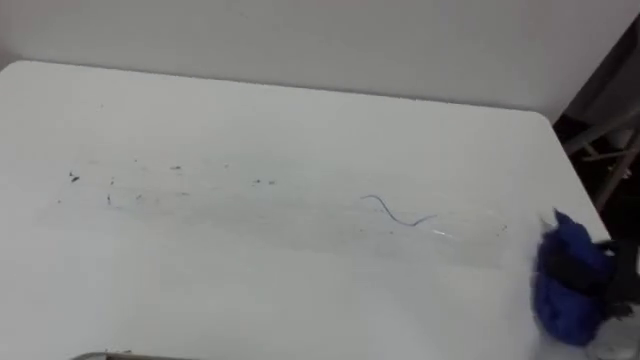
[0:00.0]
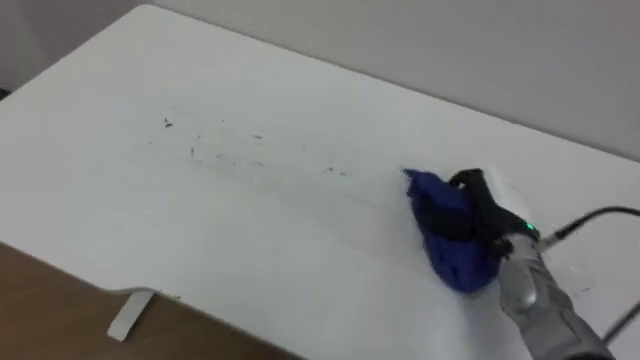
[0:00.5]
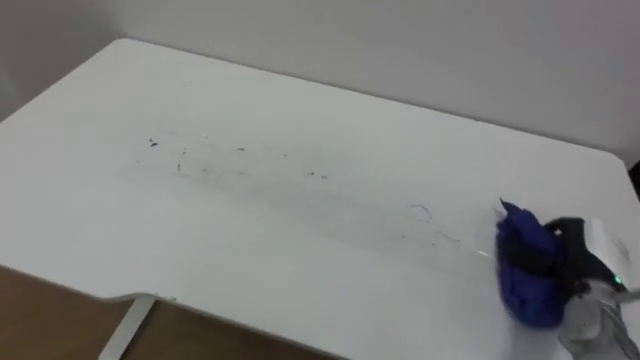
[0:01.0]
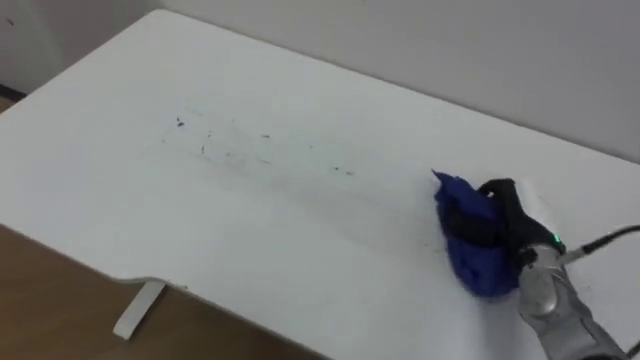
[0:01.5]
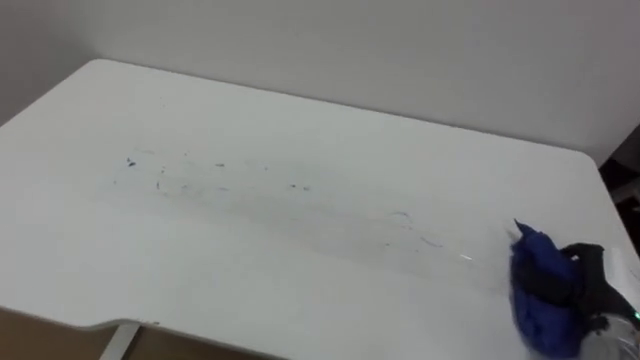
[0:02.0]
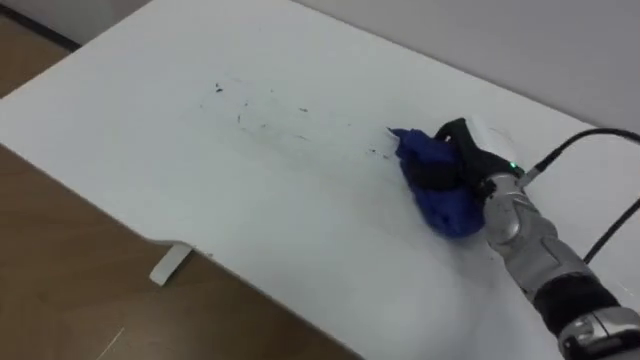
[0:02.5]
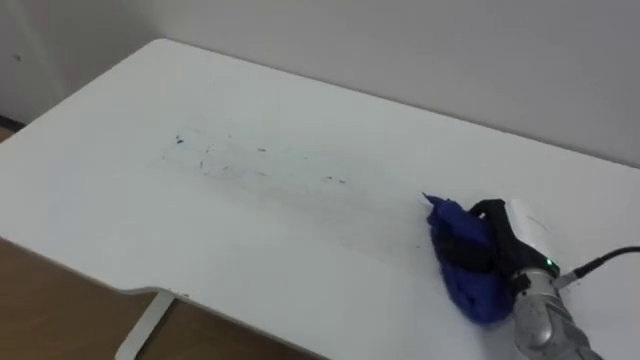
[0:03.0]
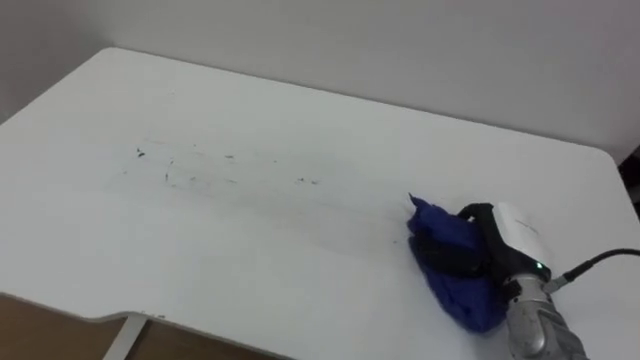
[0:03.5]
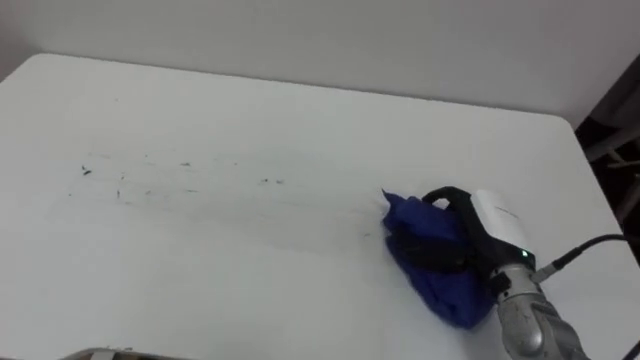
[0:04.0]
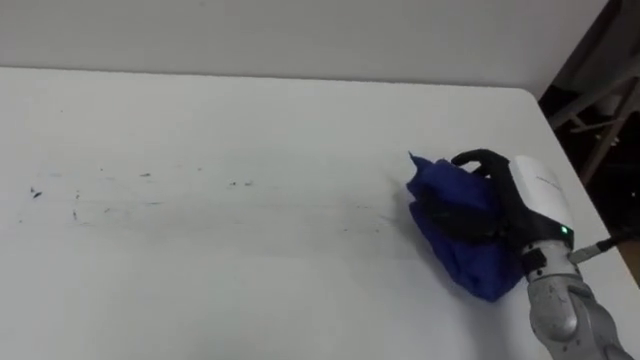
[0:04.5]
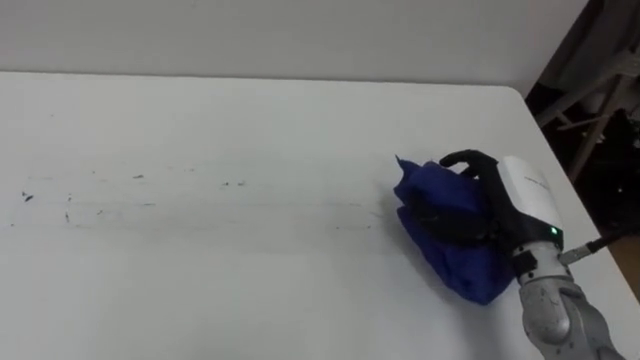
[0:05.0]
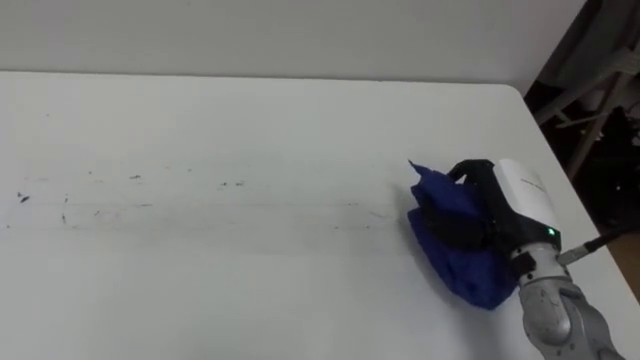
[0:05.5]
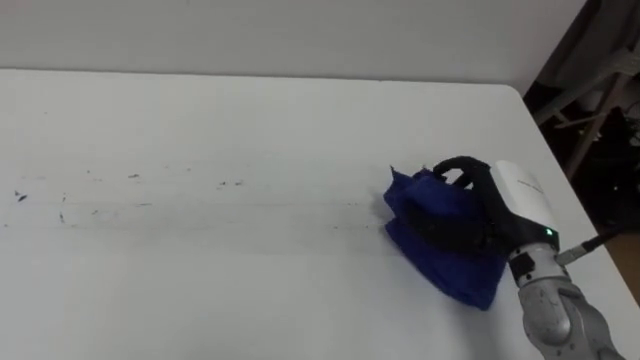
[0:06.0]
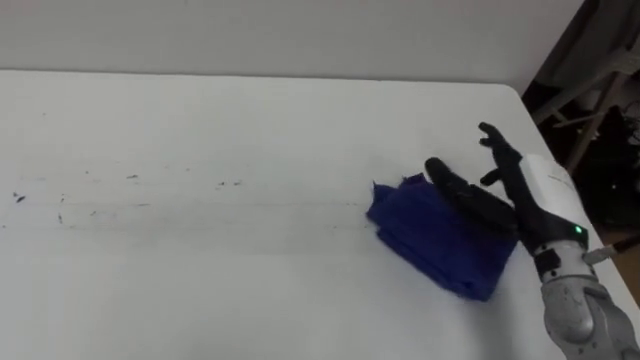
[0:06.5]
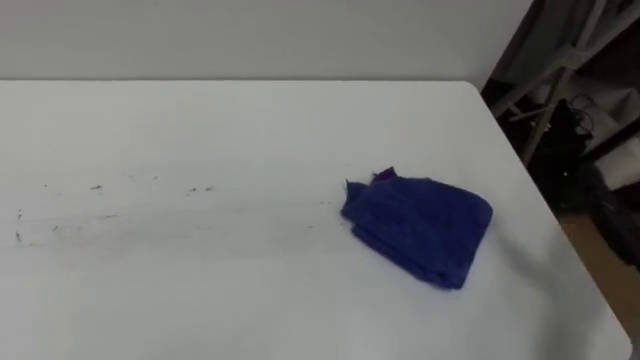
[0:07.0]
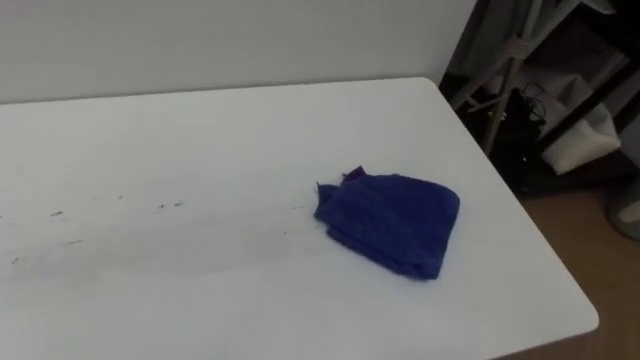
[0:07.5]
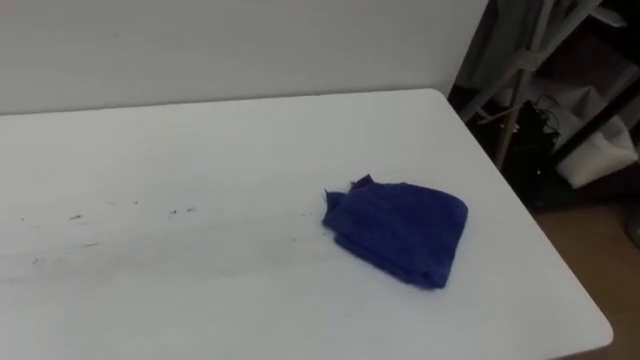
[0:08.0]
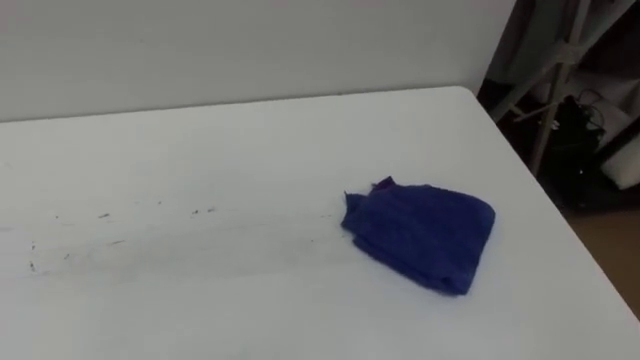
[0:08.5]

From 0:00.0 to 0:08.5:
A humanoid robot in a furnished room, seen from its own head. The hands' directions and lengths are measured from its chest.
Task of the whole recording: Wipe the blue pen marks off the table with the rag.
From 0:00.0 to 0:02.0: The right hand goes left and right, some 15 cm each way, reversing 3 times.
From 0:02.0 to 0:04.0: The right hand goes approximately 15 cm to the left and forward.
From 0:04.0 to 0:06.5: The right hand shifts about 5 cm upward, and opens up.
